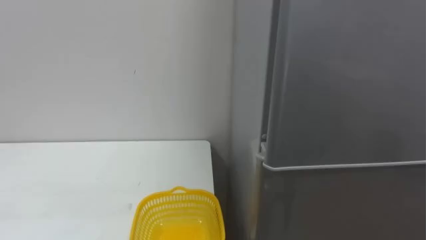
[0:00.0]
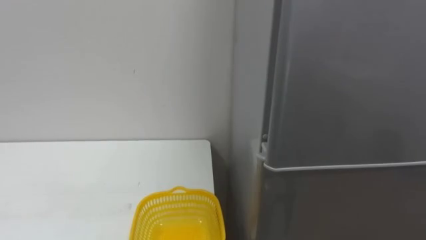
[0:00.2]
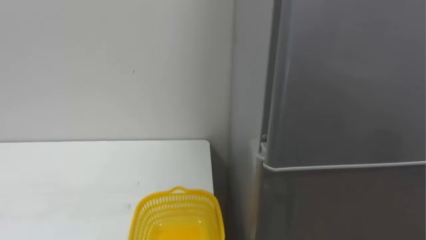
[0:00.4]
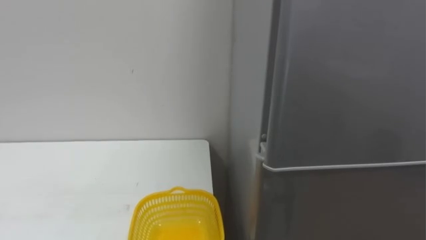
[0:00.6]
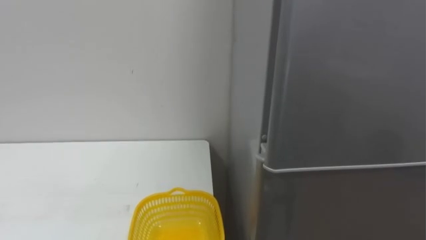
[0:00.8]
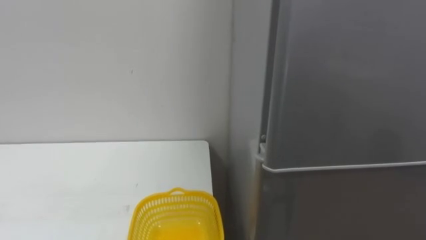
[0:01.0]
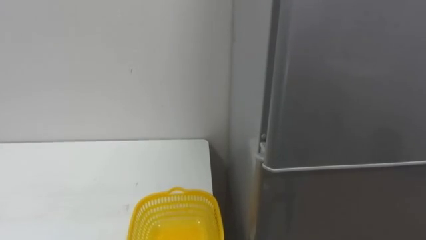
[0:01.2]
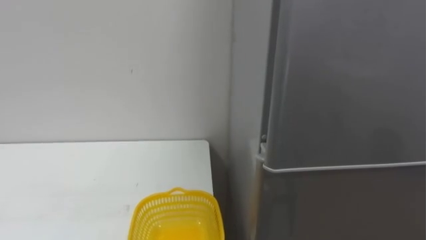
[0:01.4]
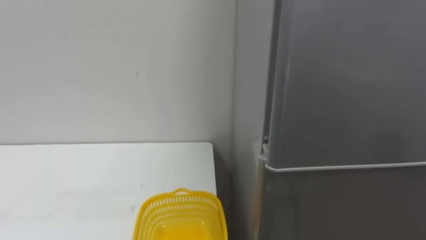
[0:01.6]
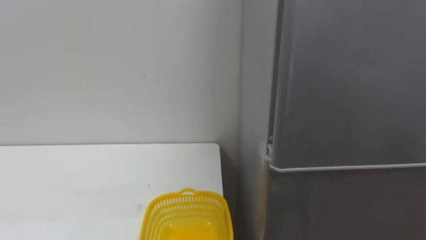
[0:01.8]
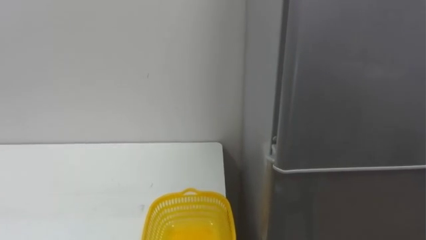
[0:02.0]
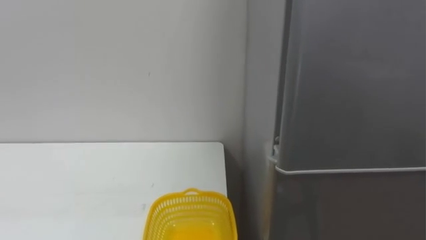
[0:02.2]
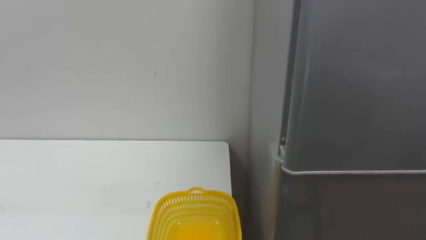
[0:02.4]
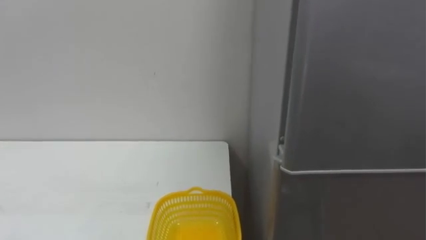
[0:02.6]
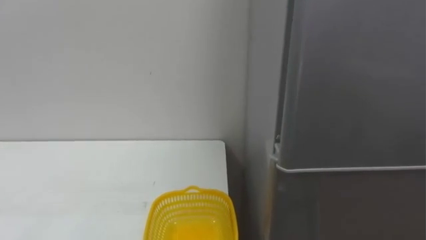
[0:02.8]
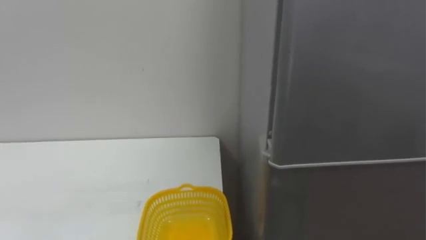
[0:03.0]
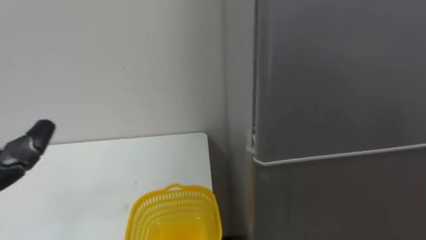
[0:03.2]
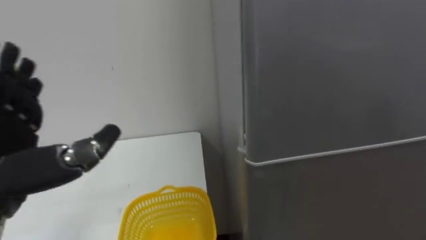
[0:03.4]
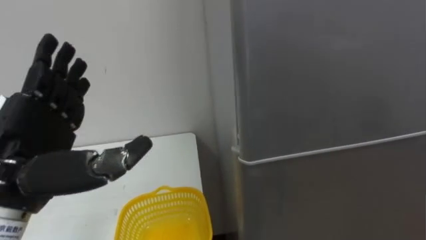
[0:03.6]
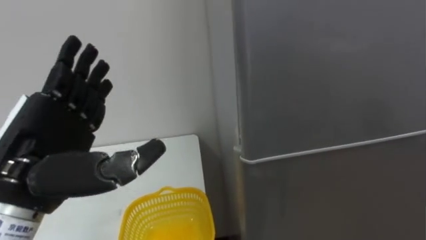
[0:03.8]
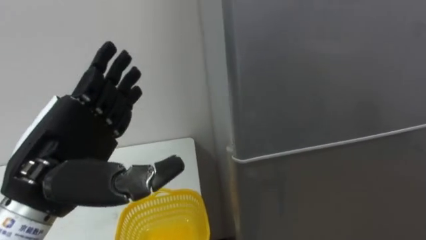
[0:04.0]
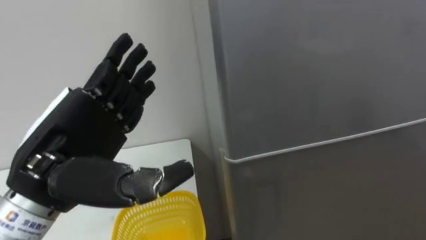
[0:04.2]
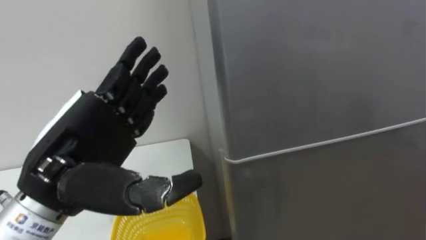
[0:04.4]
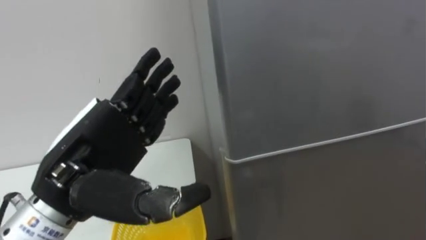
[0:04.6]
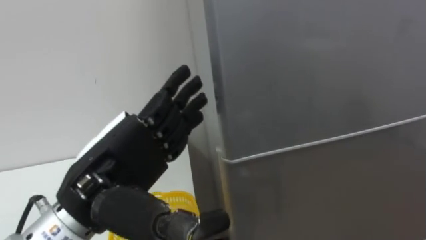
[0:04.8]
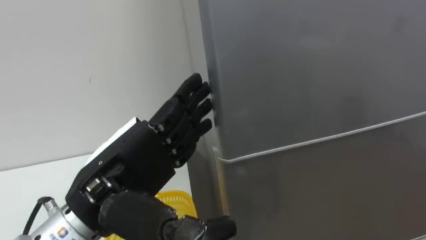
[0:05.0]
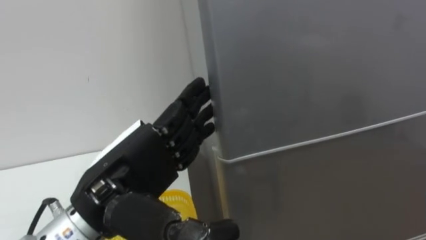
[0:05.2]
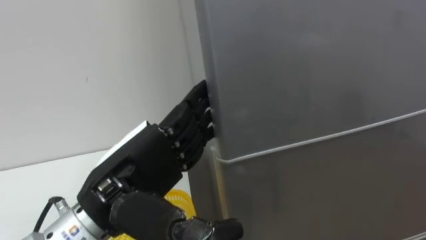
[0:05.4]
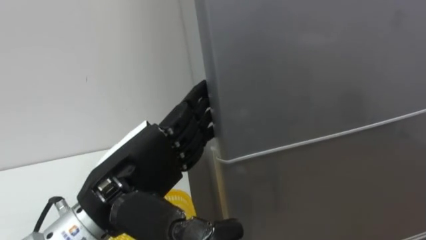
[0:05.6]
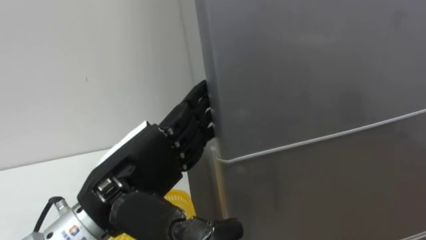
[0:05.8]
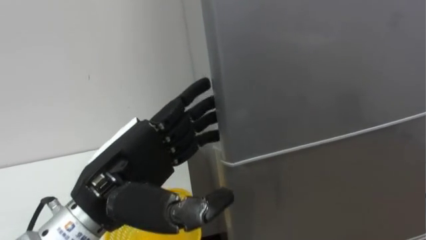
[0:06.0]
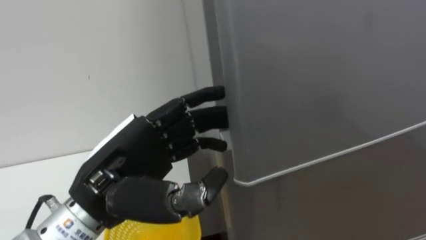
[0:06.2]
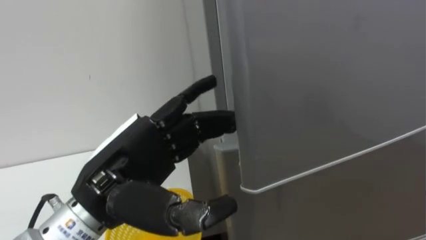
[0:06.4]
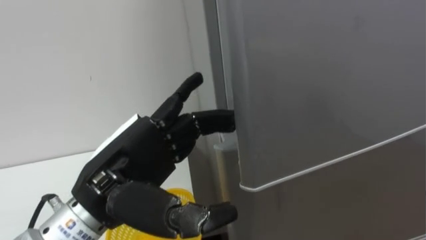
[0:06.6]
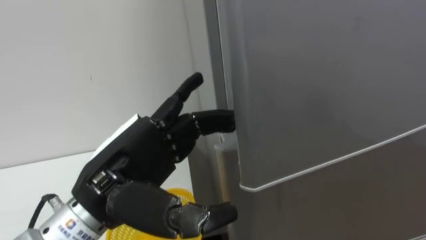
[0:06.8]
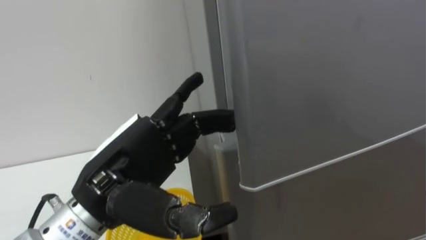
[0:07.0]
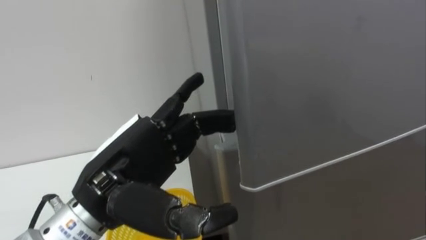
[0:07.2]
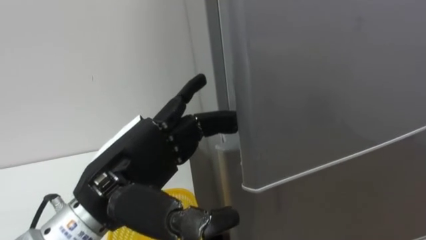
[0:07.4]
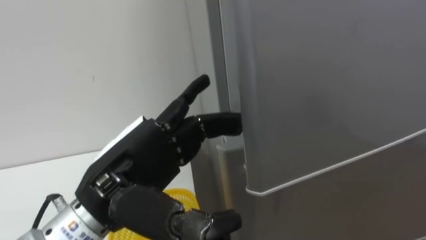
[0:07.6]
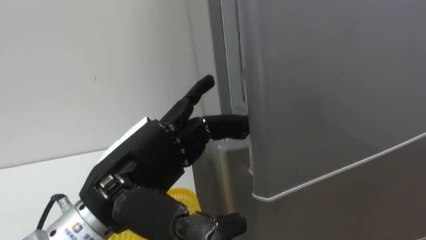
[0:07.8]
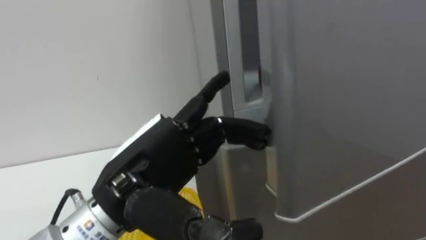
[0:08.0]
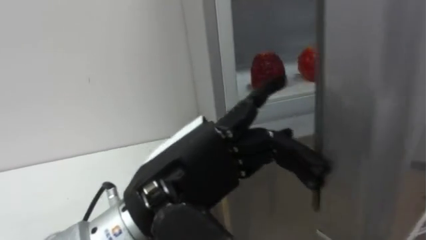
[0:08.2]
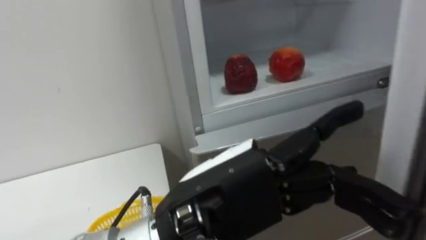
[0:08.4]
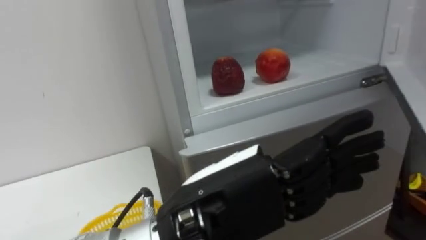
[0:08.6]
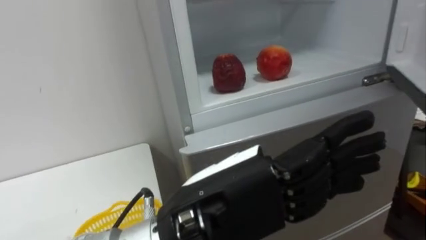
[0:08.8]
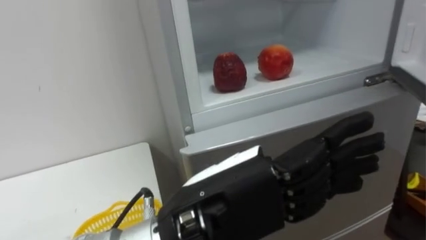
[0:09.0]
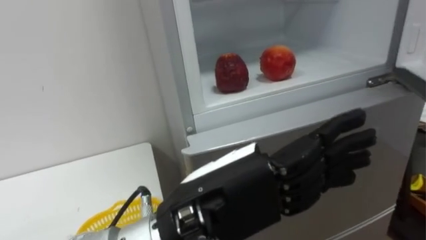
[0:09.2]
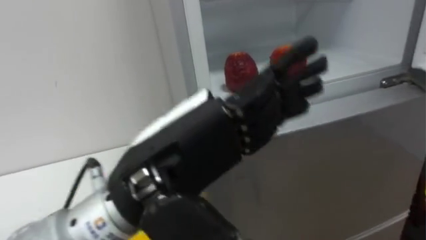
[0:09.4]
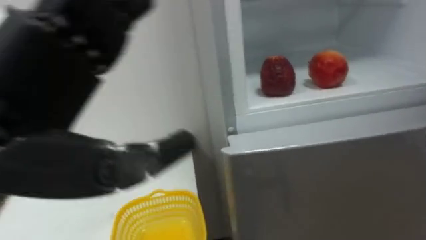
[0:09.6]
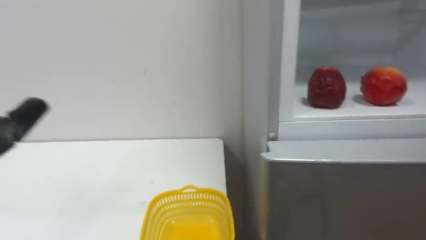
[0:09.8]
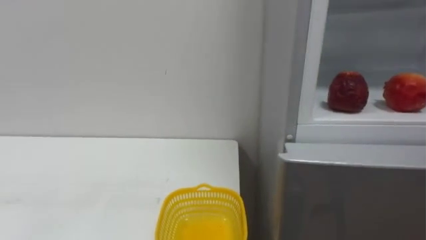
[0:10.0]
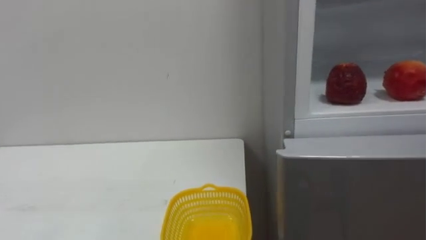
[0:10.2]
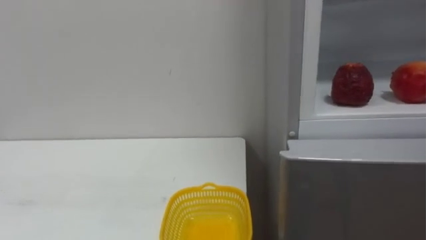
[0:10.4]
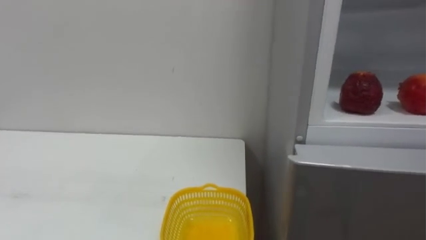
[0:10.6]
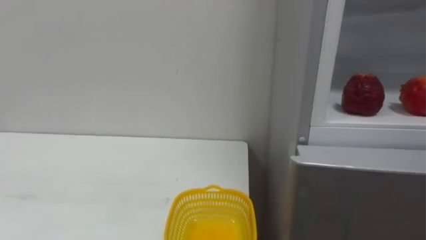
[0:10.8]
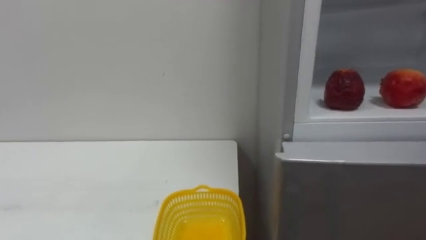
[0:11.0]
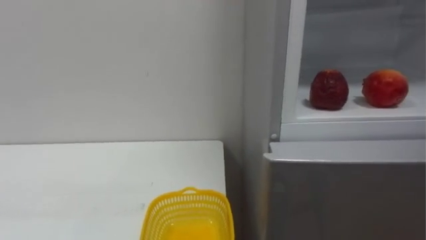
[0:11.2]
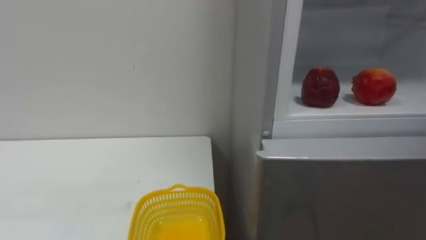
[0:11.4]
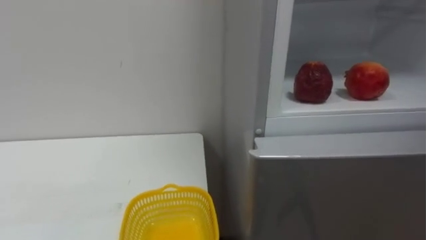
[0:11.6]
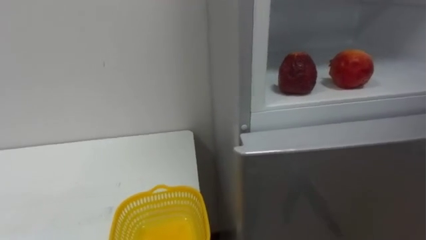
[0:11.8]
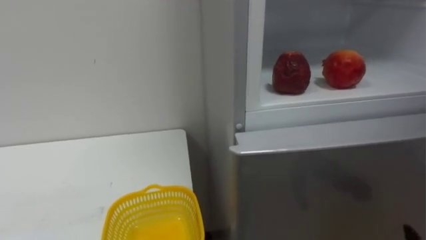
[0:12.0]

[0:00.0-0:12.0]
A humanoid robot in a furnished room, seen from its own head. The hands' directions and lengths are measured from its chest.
Task of the whole recording: Open the refrigerator door, take out the apple and the pomegranate, place them in the fruit basket on the left, and close the refrigerator door.
0:04.4 to 0:06.0: The left hand shifts by about 5 cm.
0:07.6 to 0:09.0: The left hand travels to the right and backward by some 10 cm.

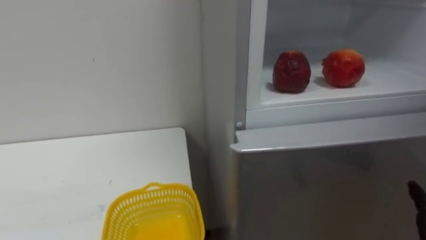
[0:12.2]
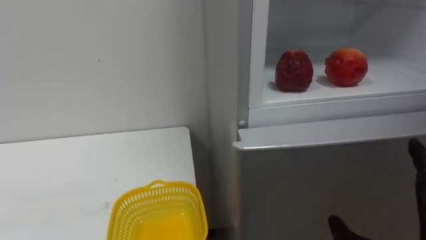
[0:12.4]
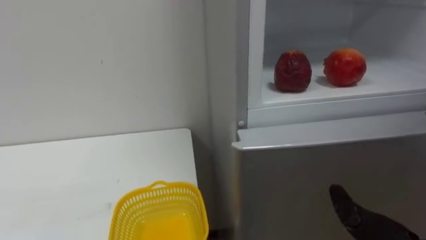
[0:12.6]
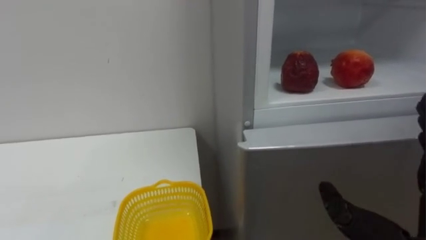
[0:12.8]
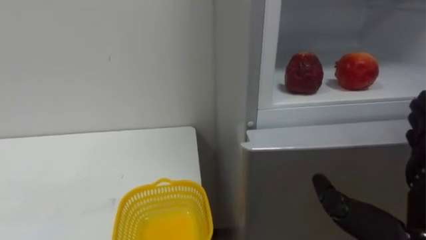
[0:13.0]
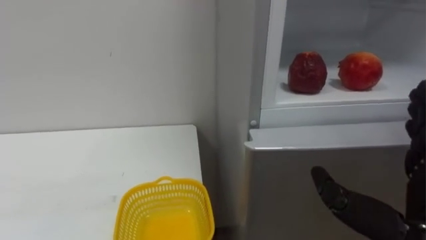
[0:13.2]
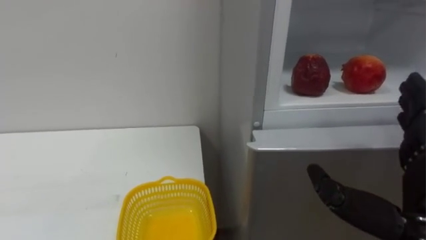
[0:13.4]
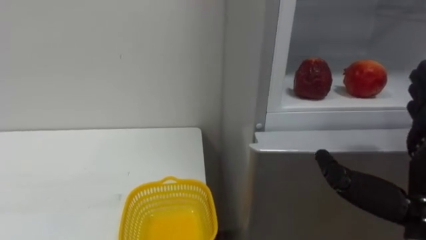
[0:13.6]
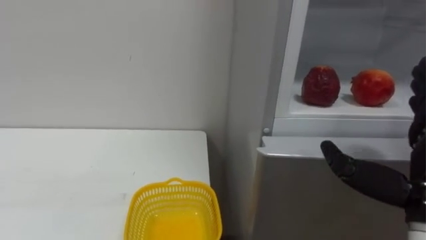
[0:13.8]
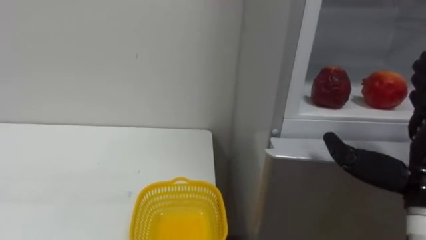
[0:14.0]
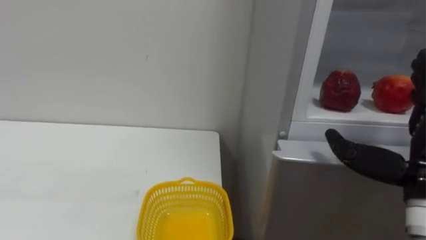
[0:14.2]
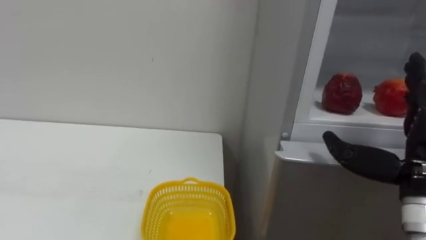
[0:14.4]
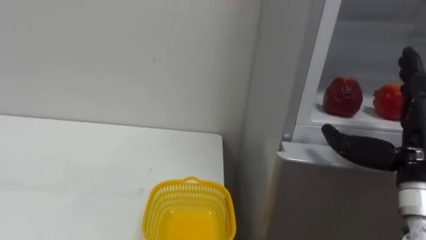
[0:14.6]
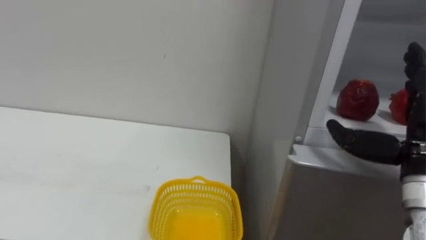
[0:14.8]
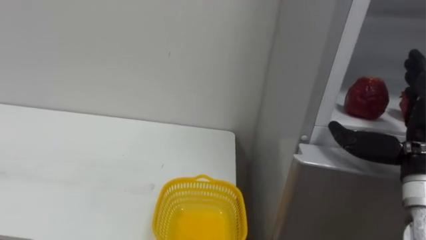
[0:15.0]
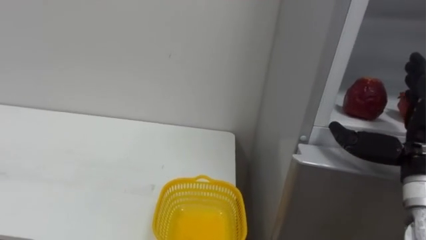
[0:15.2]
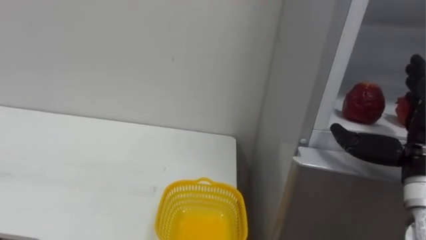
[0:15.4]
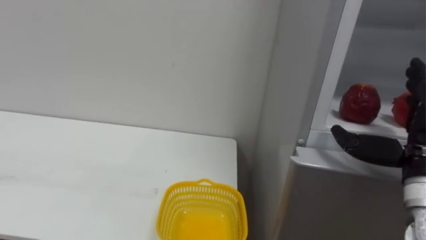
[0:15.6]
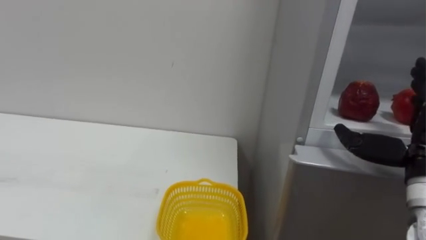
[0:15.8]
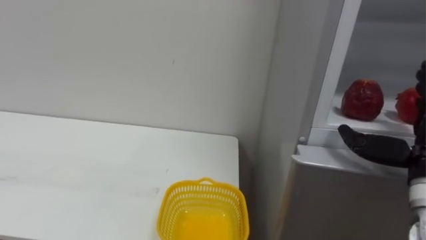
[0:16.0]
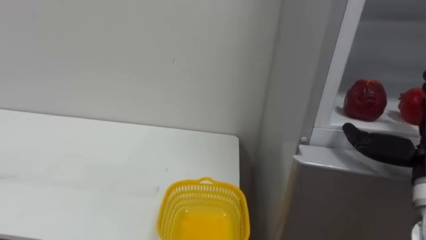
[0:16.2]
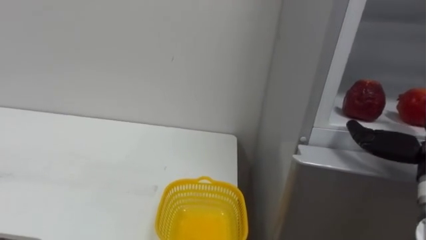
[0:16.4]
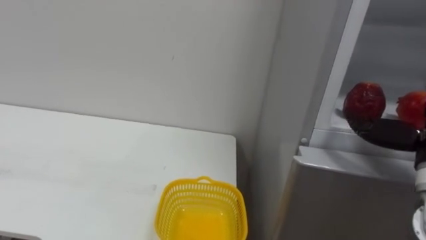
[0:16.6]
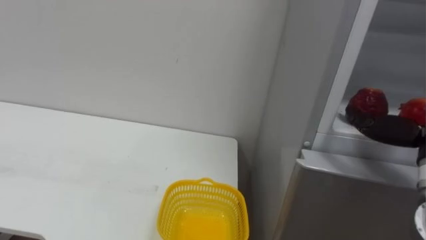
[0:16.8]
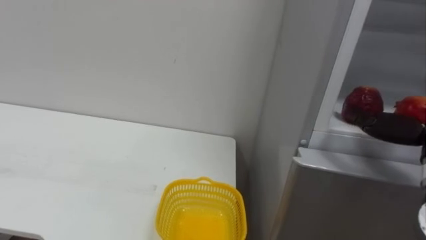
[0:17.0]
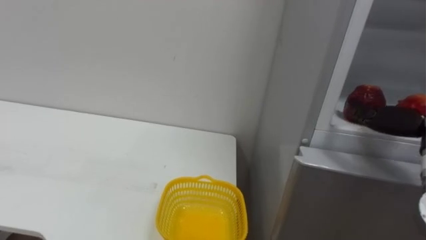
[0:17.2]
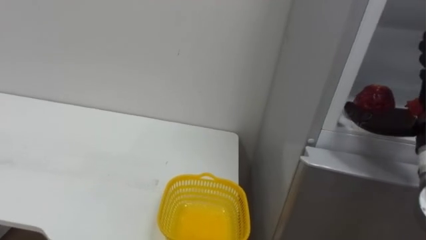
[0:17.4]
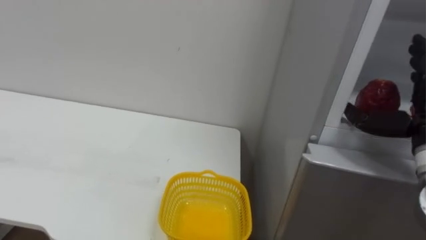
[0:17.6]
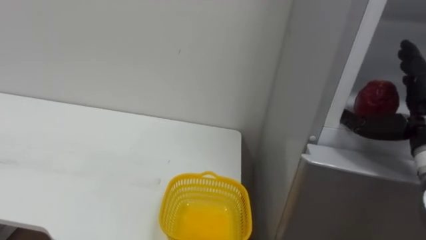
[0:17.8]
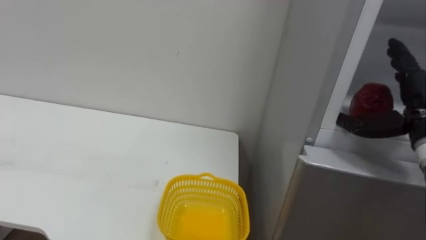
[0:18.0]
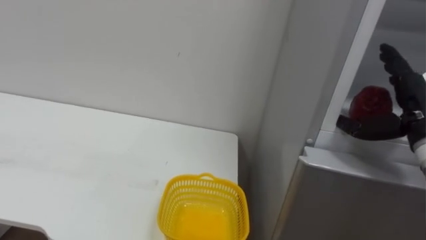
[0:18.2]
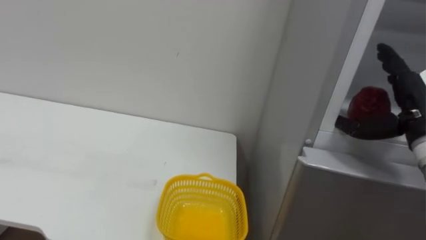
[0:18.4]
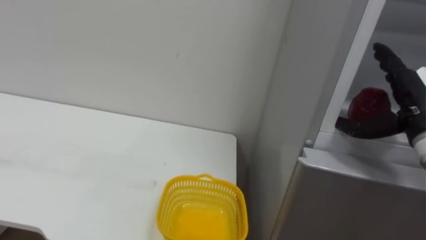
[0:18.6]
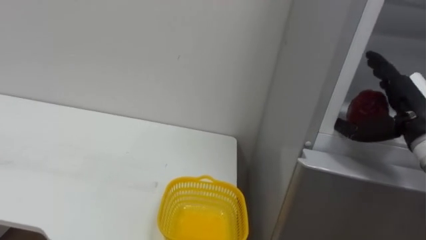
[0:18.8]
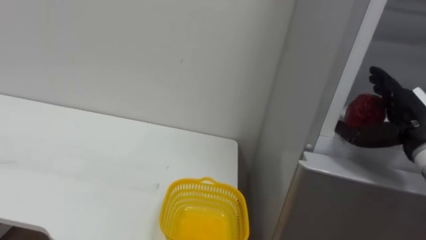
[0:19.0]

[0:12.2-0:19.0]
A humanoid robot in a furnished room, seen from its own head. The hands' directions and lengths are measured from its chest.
Task of the whole recording: Open the refrigerator door, take out the apple and the pomegranate, place them in the fruit basket on the left, and close the refrigerator door.
0:13.6 to 0:15.0: The right hand goes roughly 10 cm forward.
